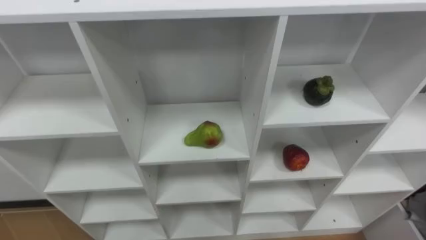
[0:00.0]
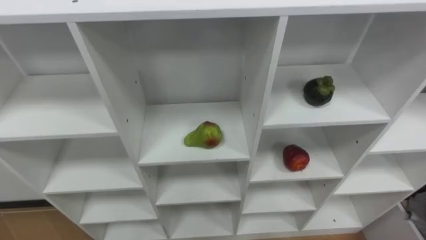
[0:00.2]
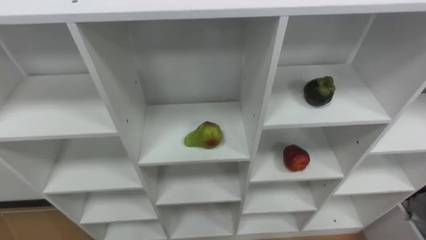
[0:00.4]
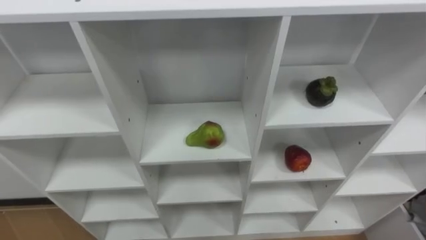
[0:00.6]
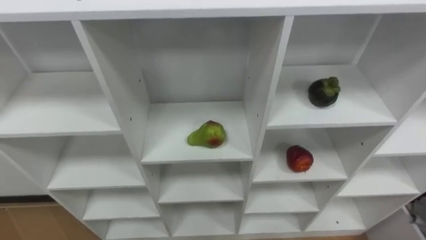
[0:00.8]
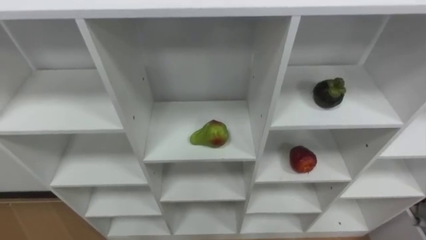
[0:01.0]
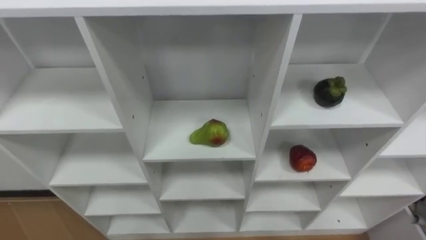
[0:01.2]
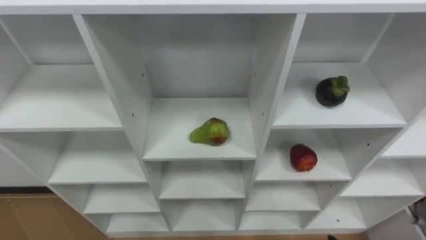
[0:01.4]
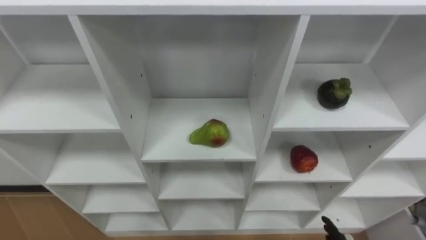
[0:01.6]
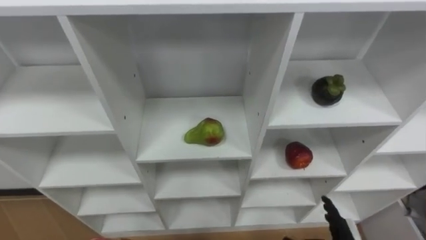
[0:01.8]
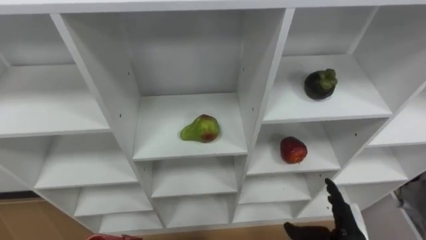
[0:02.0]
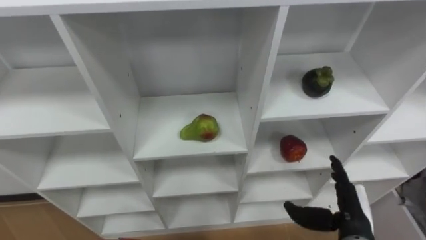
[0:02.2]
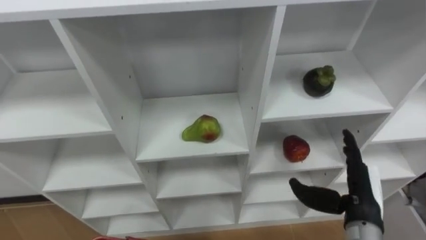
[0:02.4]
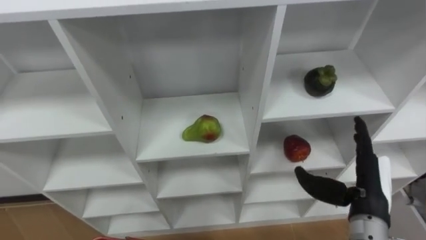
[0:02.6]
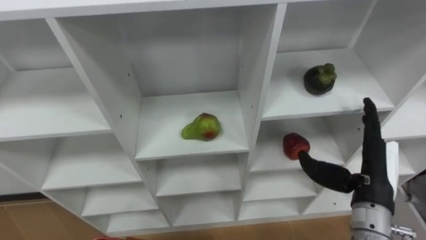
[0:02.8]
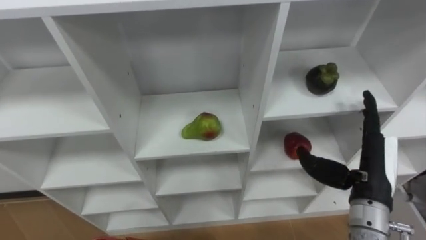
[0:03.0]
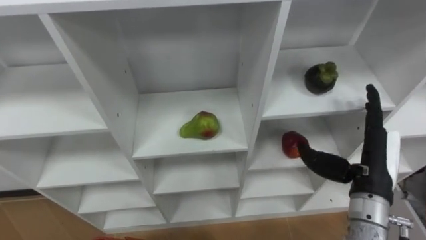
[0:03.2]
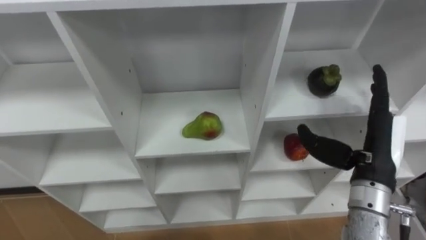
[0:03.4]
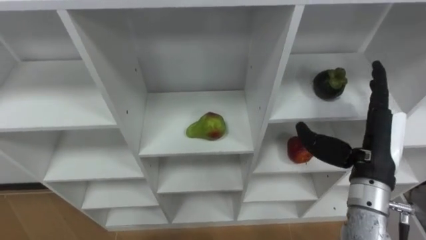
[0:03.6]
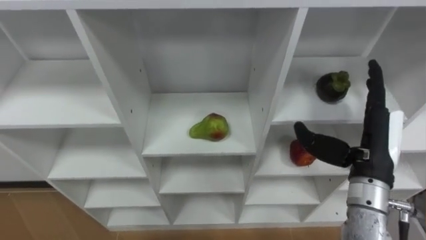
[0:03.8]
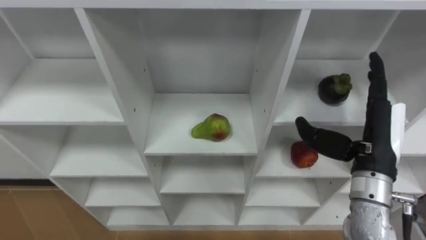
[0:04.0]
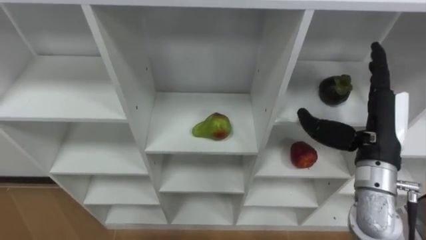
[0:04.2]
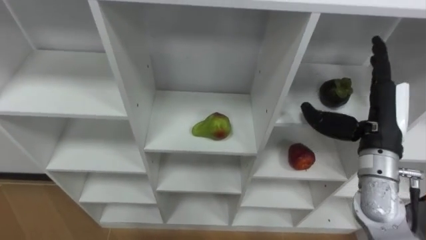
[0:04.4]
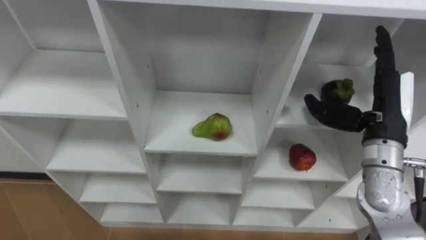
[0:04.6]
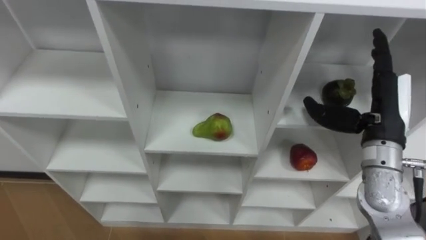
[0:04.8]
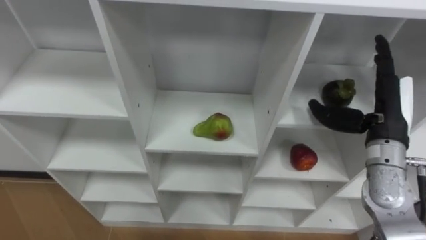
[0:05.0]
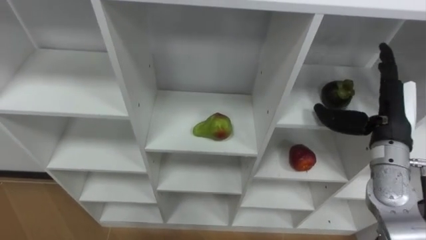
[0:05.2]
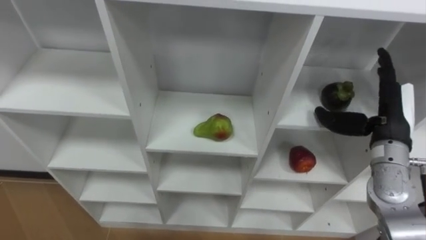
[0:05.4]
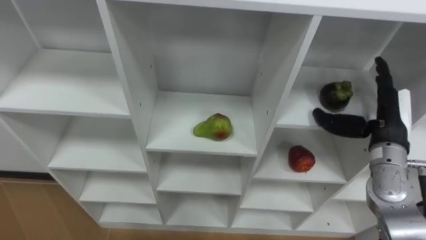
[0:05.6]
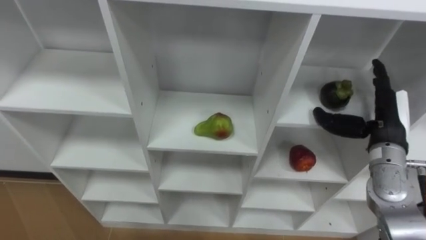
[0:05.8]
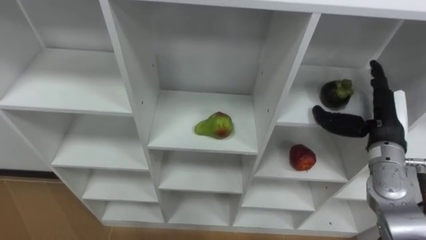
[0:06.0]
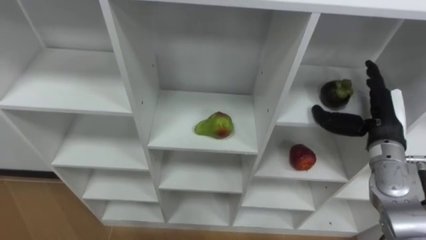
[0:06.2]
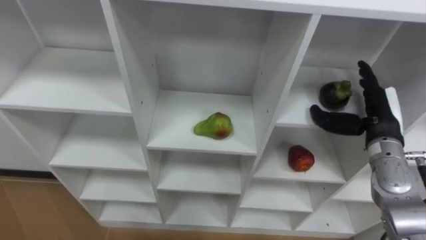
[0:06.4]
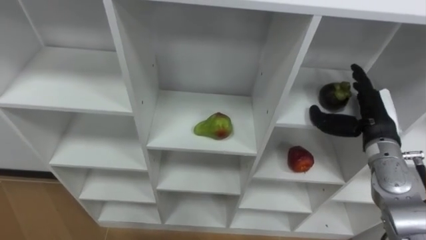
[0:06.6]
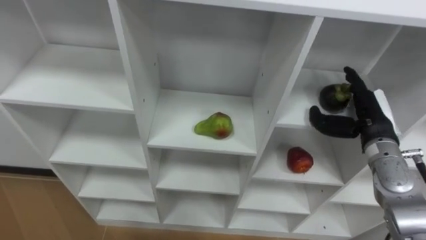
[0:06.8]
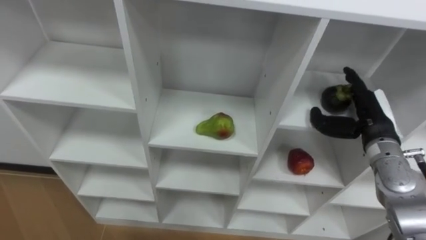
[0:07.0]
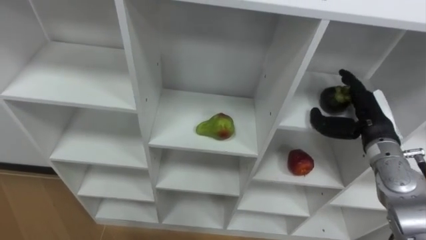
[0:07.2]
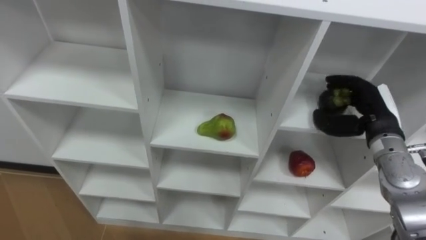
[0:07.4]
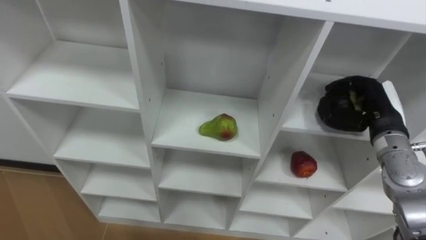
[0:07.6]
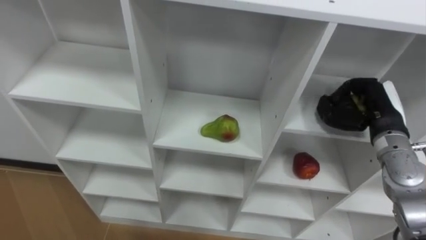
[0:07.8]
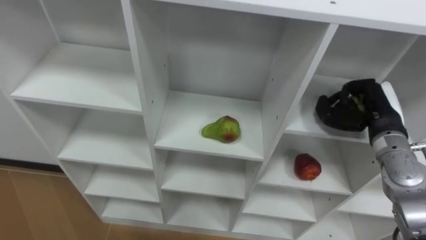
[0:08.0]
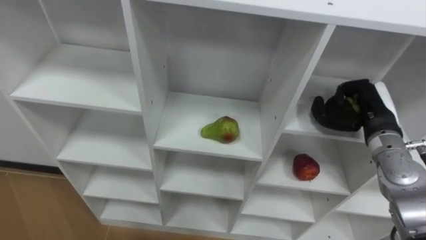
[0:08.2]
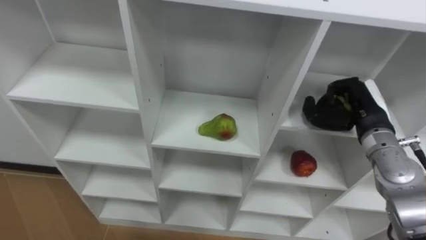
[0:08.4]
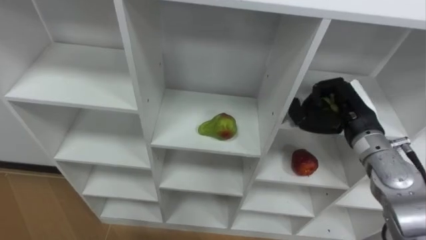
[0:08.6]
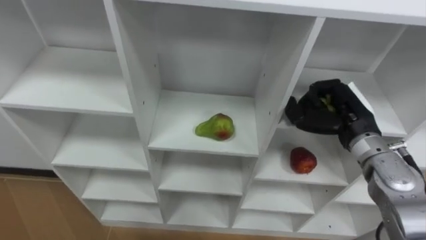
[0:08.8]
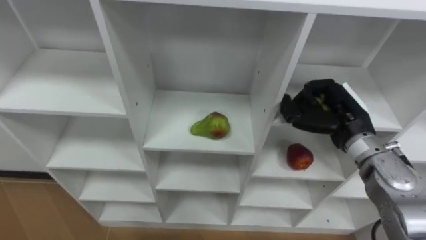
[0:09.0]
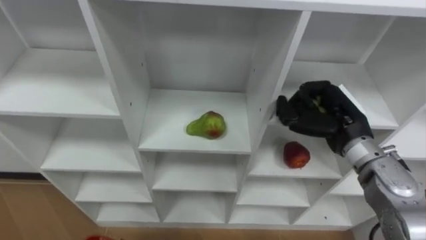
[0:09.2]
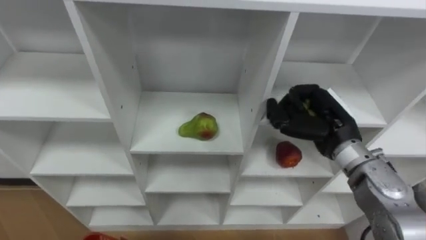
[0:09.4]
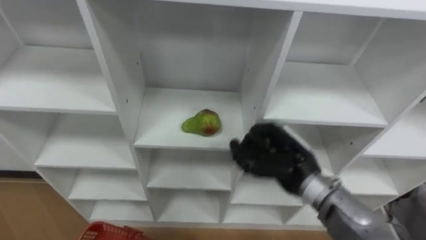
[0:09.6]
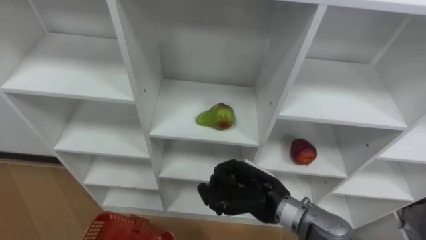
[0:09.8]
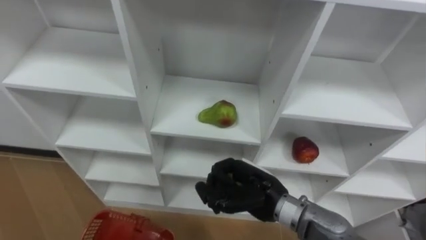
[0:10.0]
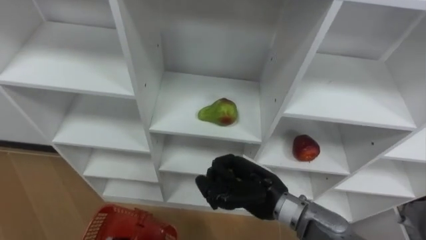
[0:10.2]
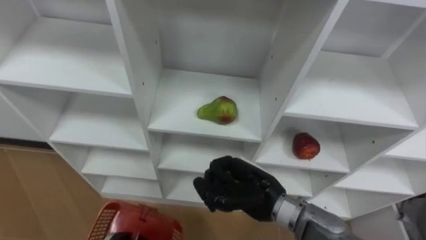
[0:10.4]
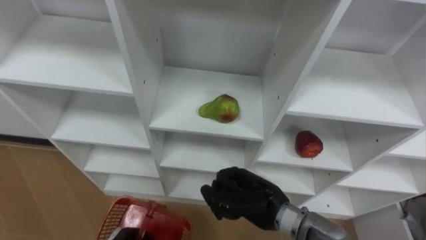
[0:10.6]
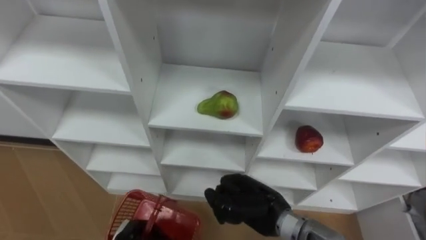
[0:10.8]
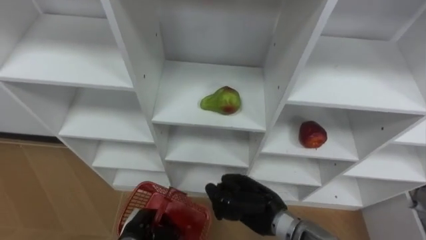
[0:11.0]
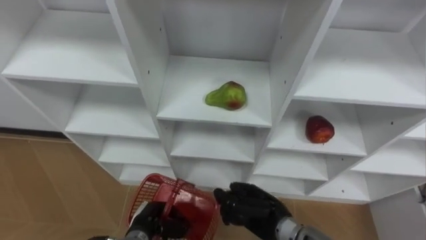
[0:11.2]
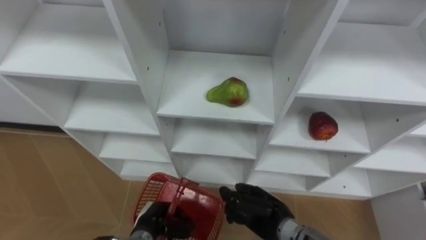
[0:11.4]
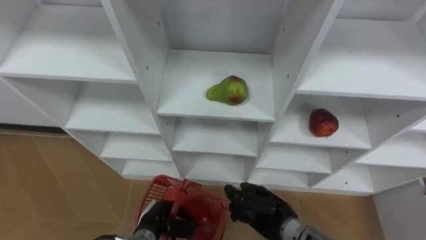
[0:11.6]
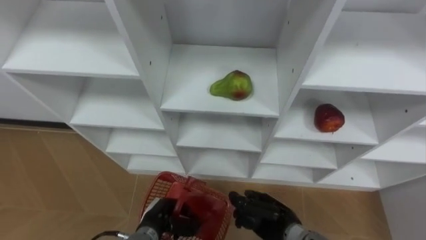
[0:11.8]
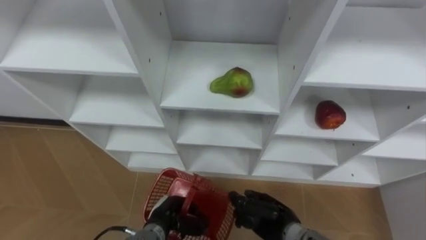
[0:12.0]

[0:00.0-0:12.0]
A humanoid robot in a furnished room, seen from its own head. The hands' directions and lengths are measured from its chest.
Task of the whole recording: Hold the basket and collect the fruits from 3 different cells of the closet into it.
3.0 to 4.4 s: The right hand heads forward and upward, covering roughly 10 cm.
4.4 to 6.0 s: The right hand travels downward by approximately 5 cm.
6.0 to 7.6 s: The right hand closes its fingers.
7.6 to 9.0 s: The right hand is displaced to the left by approximately 5 cm.
9.0 to 10.4 s: The right hand moves to the left, backward and downward, about 20 cm.
10.4 to 12.0 s: The right hand travels downward by about 15 cm.

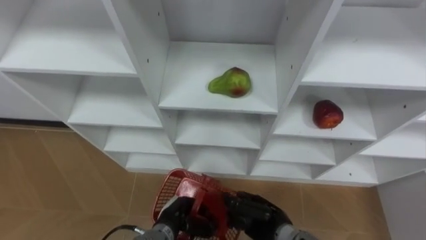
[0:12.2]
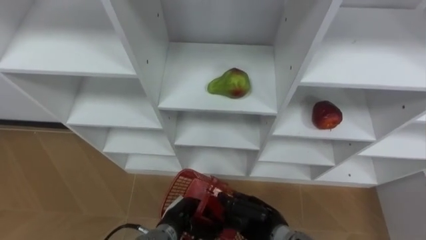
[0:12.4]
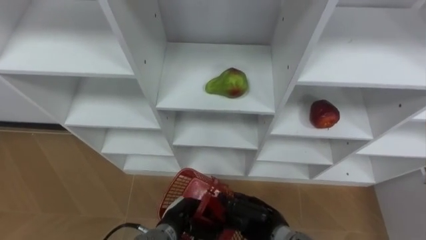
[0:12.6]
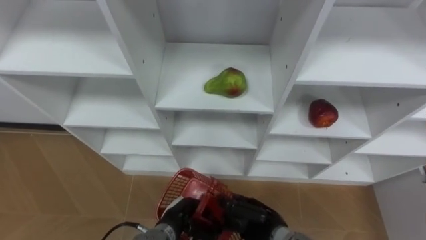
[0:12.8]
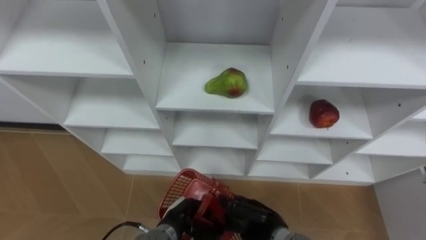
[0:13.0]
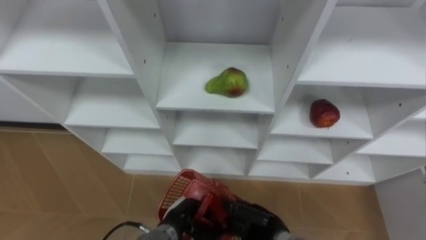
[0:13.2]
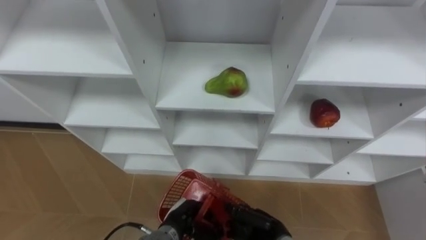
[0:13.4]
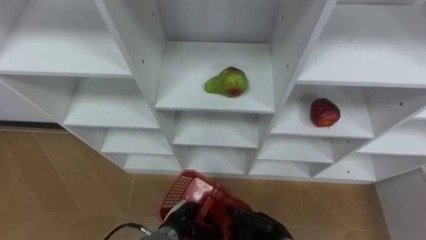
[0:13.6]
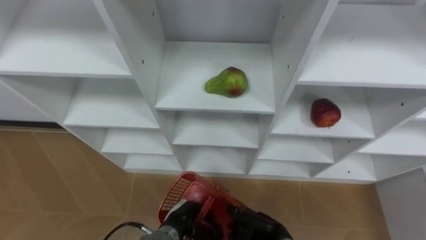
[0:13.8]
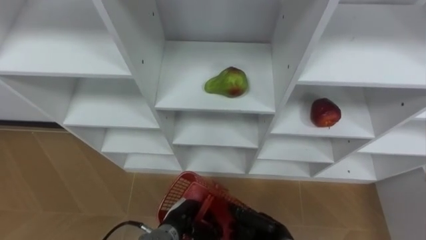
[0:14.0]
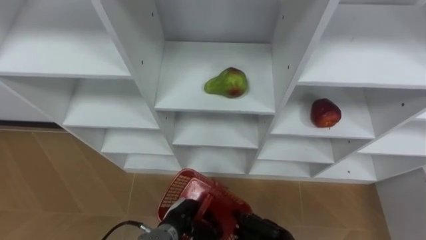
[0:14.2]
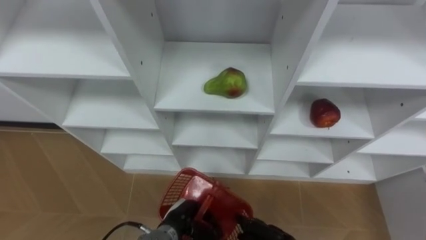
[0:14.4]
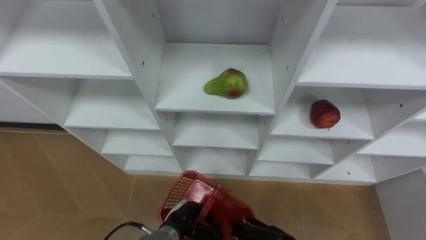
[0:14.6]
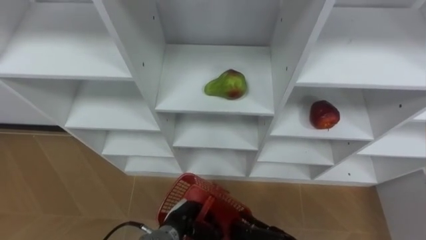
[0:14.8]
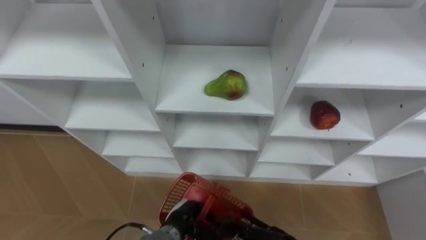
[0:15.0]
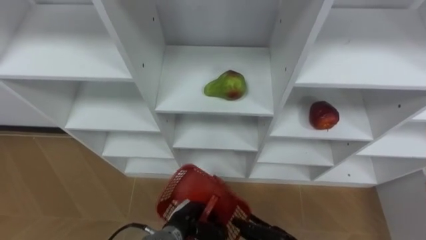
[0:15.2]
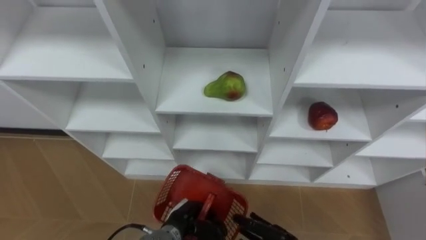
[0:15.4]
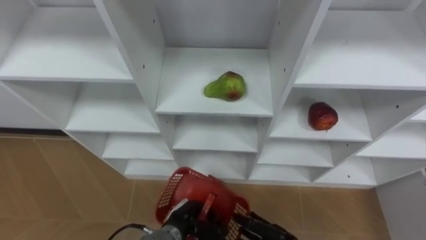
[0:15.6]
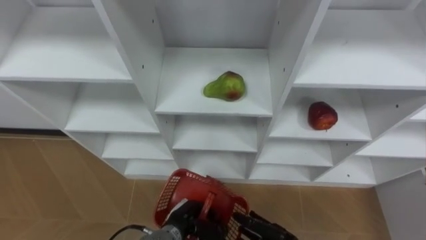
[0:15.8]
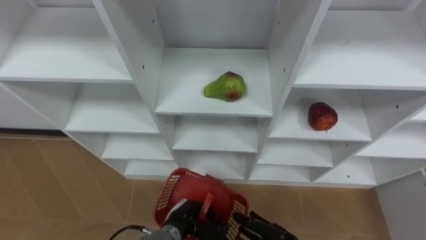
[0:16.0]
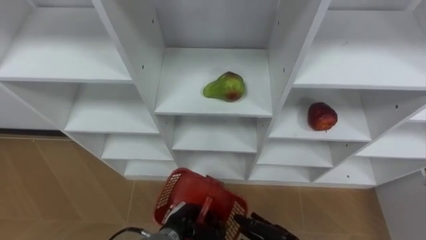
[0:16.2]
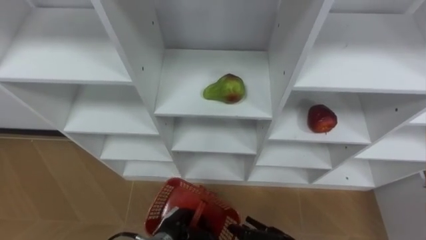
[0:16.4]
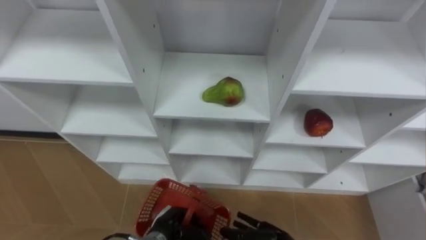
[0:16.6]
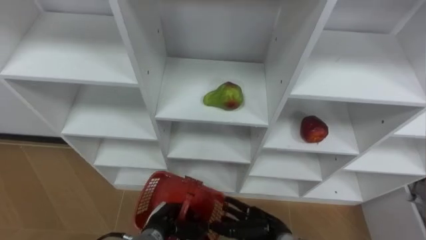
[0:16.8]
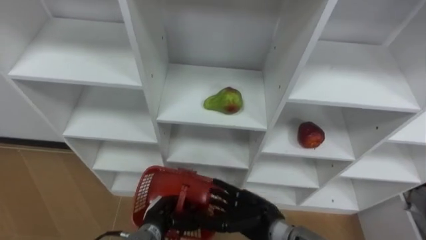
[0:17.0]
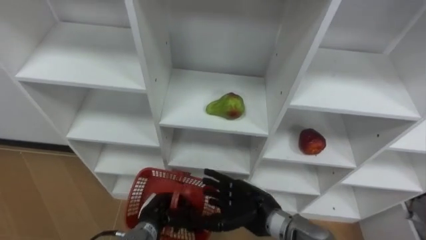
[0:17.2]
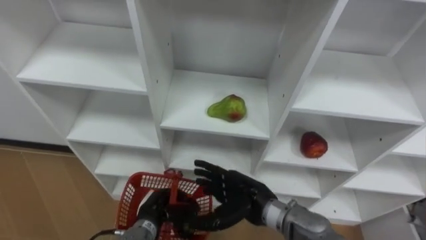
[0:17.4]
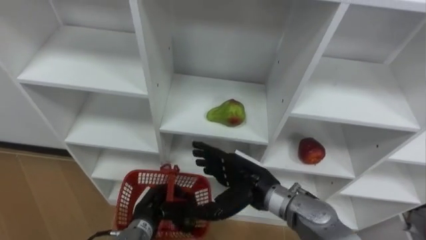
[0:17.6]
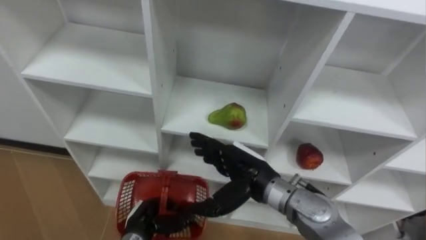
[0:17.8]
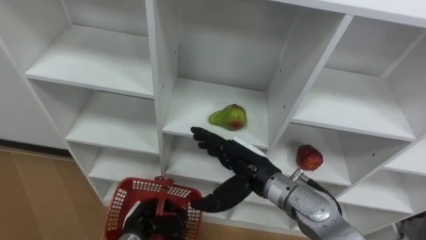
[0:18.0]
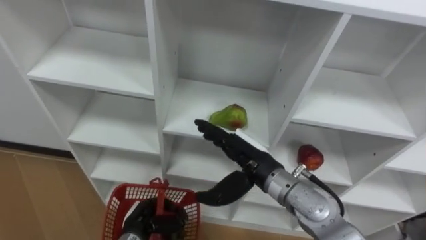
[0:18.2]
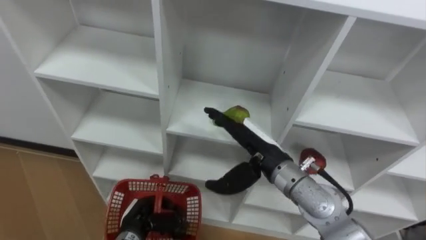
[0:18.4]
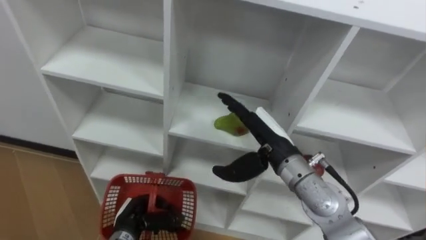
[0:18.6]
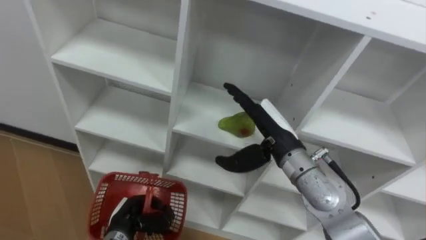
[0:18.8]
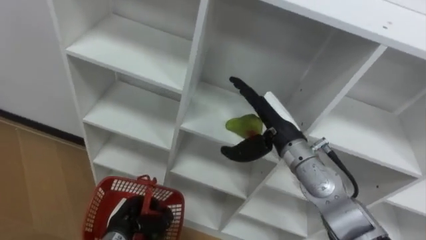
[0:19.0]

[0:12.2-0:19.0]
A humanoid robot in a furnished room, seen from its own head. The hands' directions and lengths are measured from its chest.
Task of the whole recording: Hold the basket and collect the fruits from 3 different cells of the closet into it.
16.2 to 17.6 s: The left hand goes some 5 cm to the left.
17.6 to 19.0 s: The right hand is displaced upward, forward and to the right by roughly 10 cm. Meanwhile the left hand shifts about 5 cm to the left.
